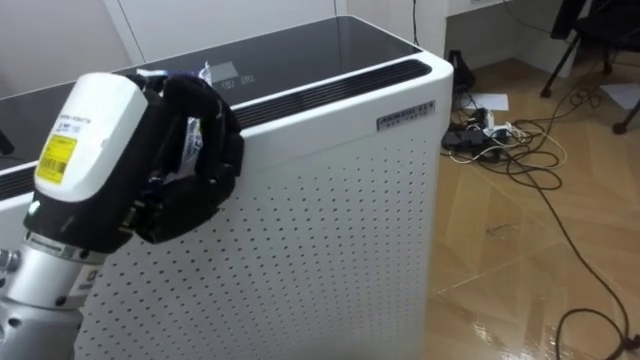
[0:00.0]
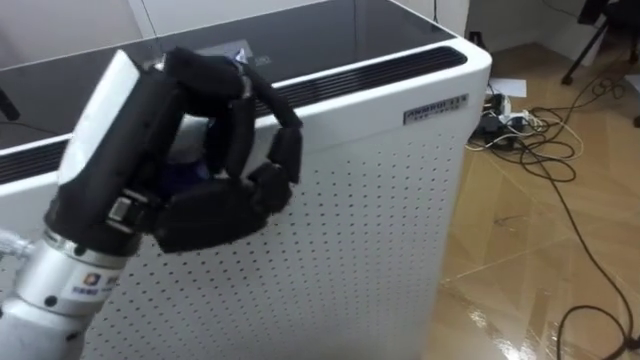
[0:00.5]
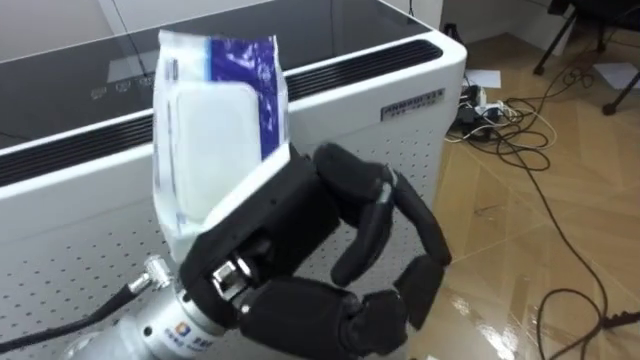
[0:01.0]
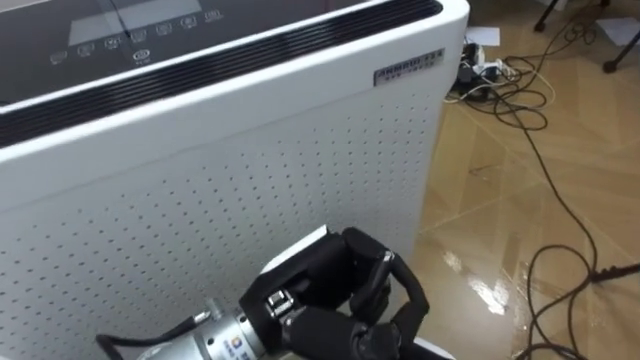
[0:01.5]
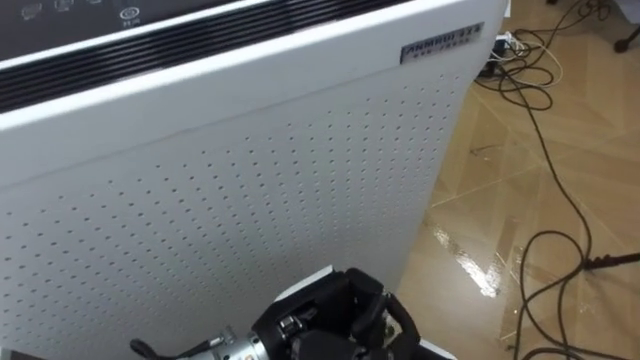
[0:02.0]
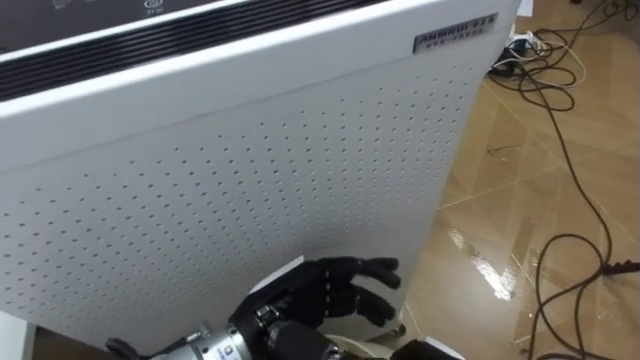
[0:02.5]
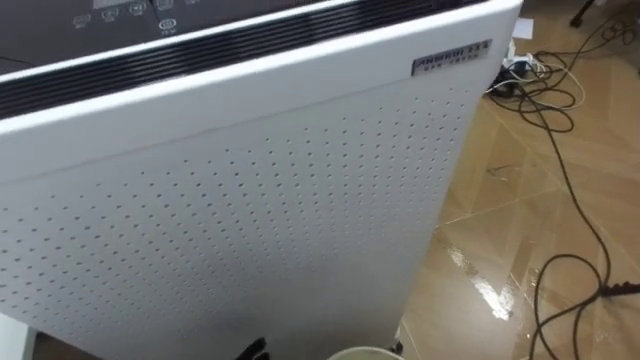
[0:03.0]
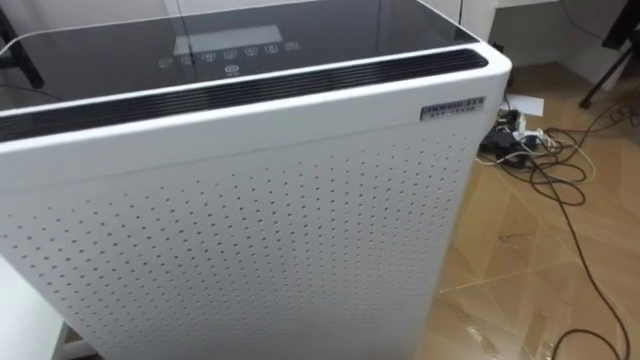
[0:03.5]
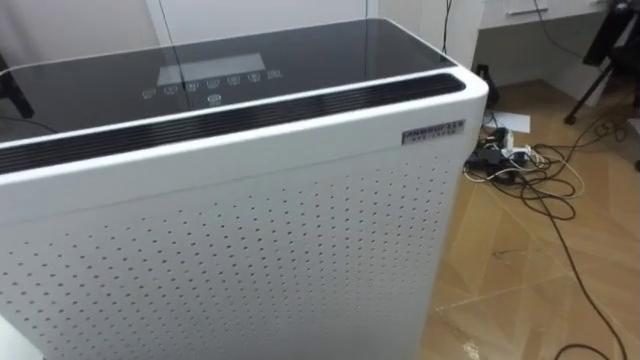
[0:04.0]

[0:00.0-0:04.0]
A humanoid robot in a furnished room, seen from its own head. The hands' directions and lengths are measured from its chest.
Task of the whole recording: Pick up the light blue package, the candy box, and the dark blue package separately, and put them into the trash can held in your right hand.
0:00.0 to 0:02.0: The left hand shifts some 25 cm downward and to the right.

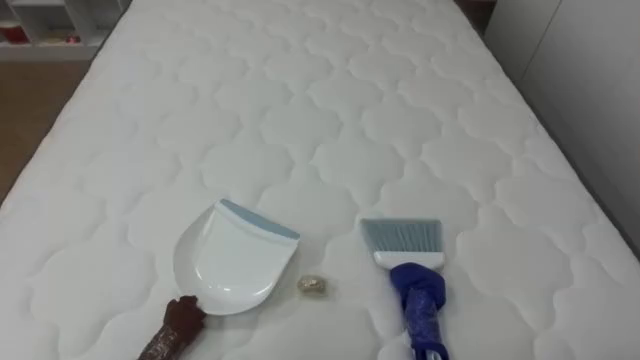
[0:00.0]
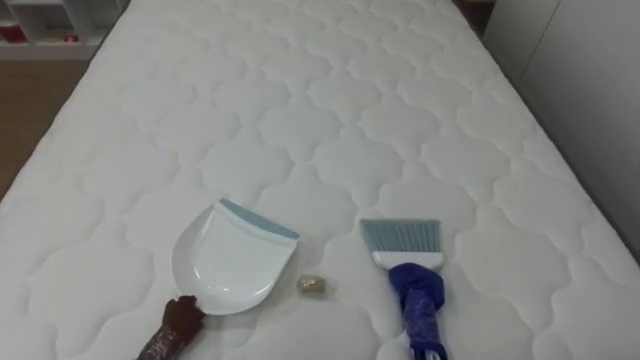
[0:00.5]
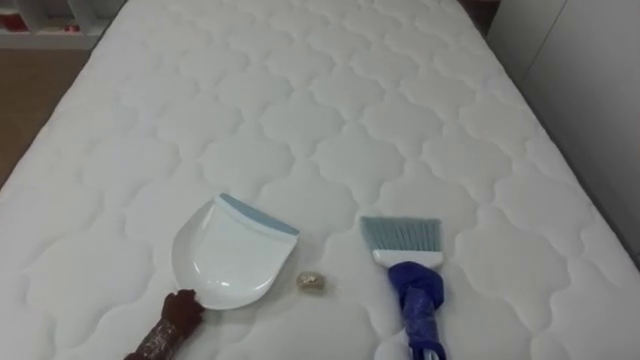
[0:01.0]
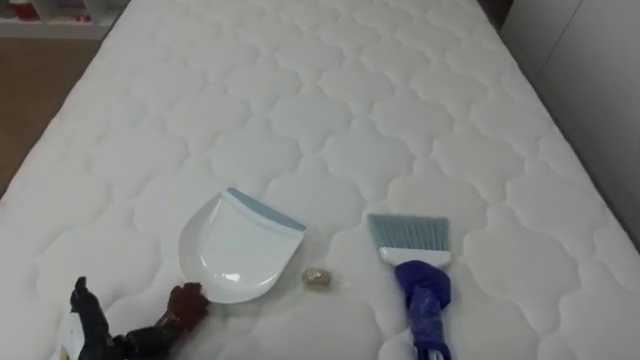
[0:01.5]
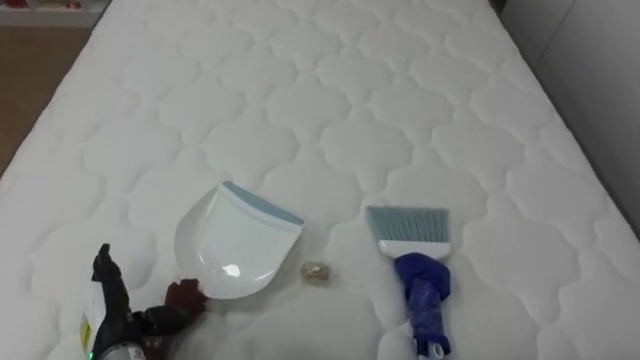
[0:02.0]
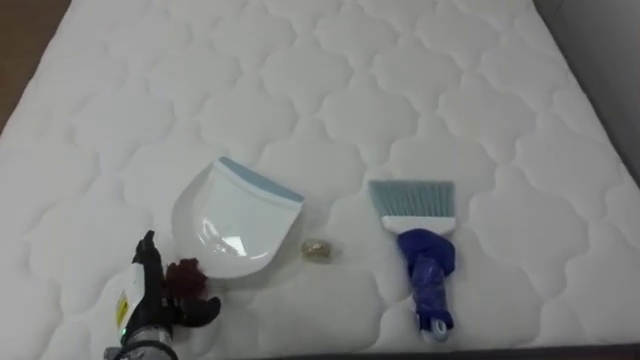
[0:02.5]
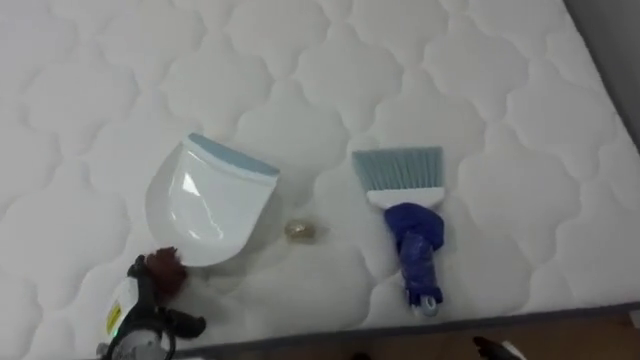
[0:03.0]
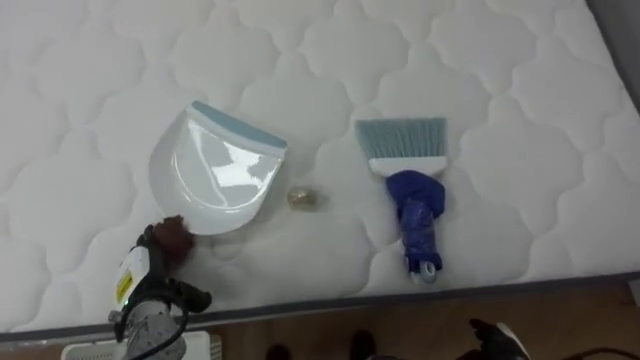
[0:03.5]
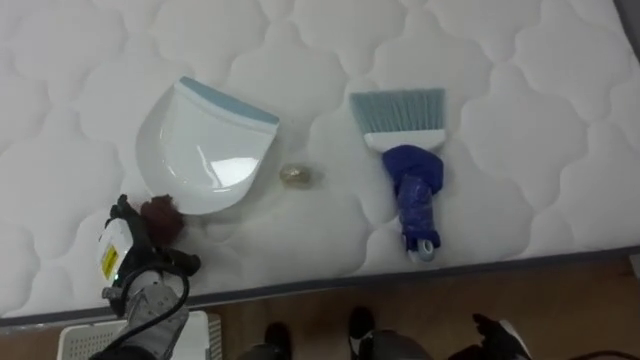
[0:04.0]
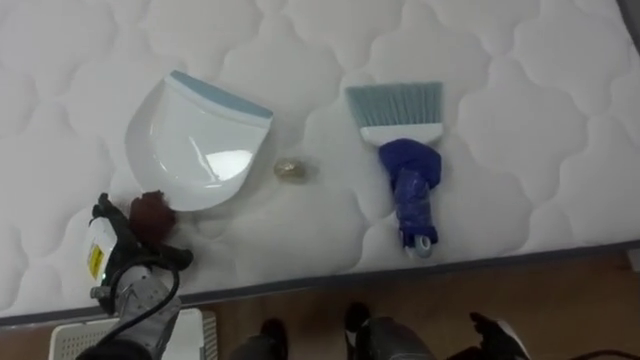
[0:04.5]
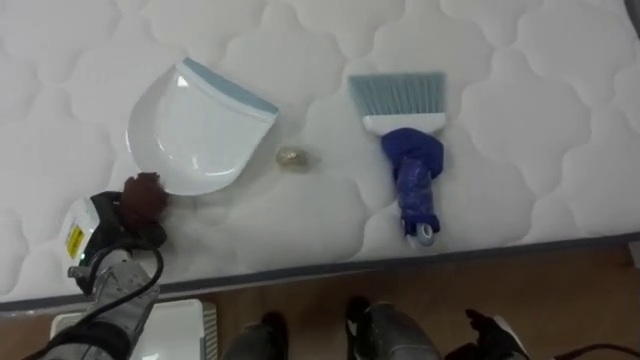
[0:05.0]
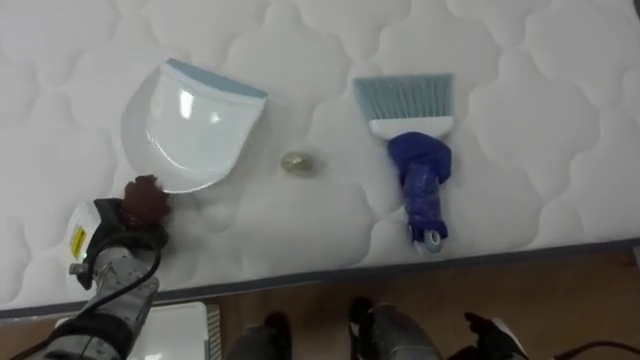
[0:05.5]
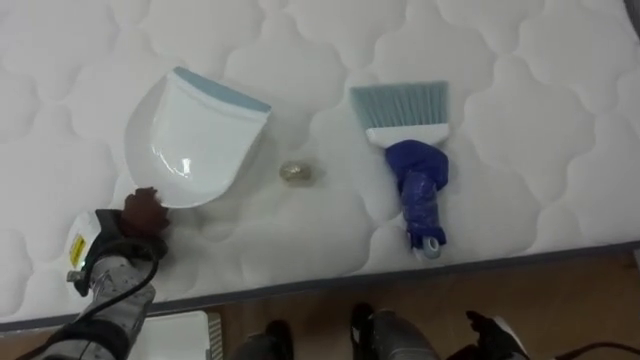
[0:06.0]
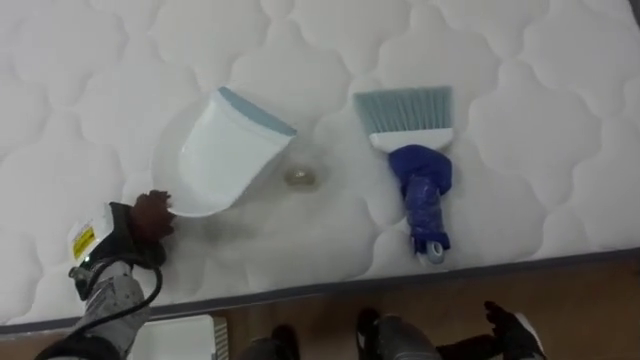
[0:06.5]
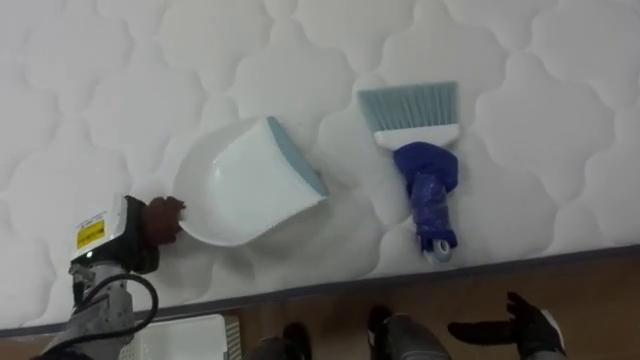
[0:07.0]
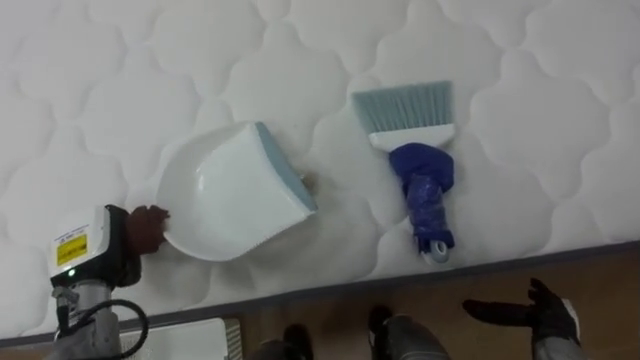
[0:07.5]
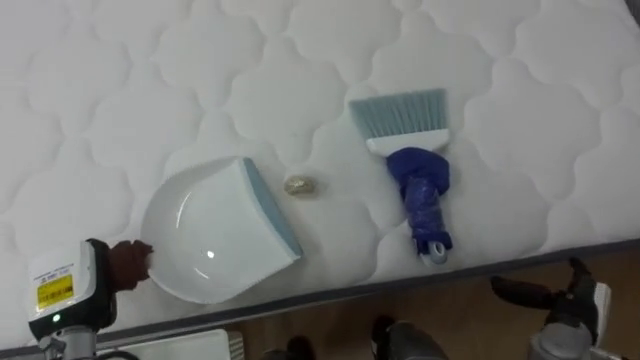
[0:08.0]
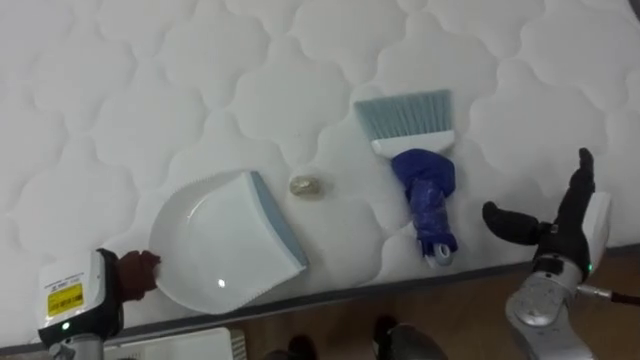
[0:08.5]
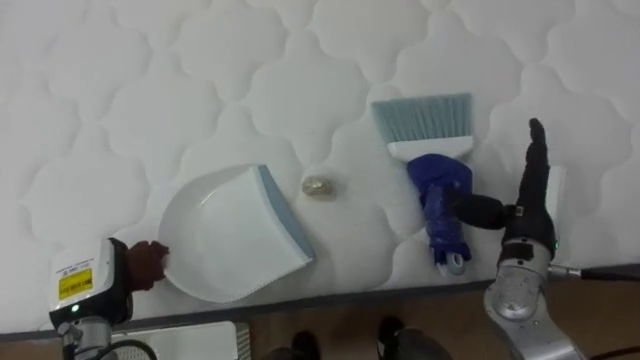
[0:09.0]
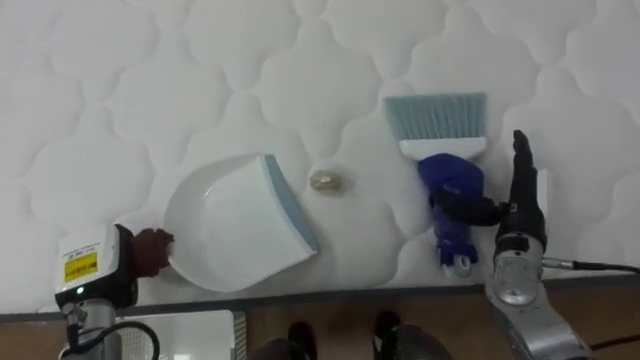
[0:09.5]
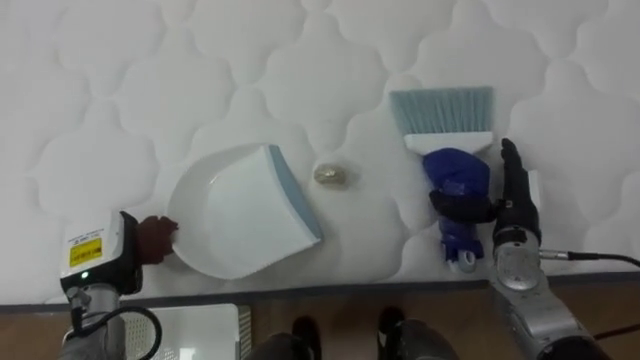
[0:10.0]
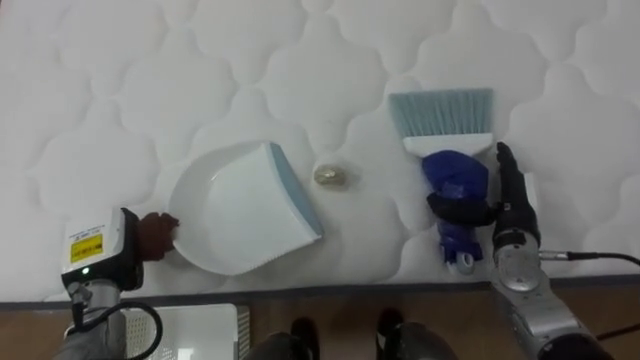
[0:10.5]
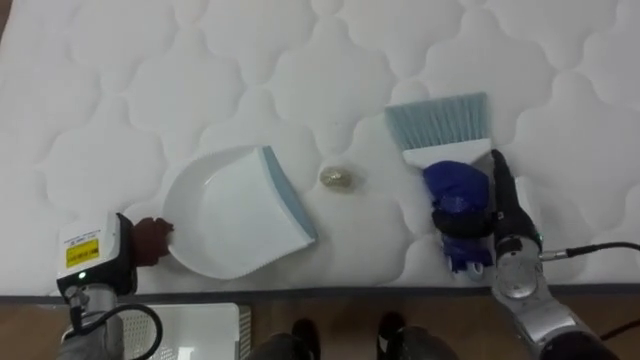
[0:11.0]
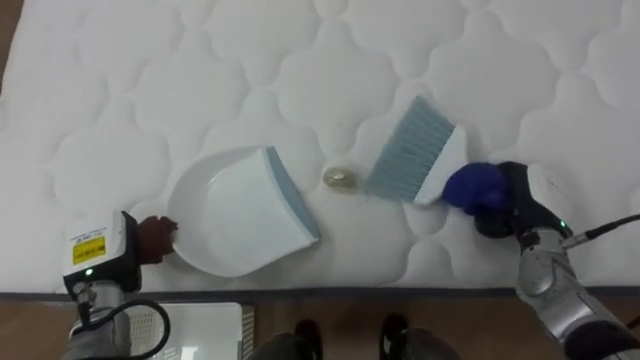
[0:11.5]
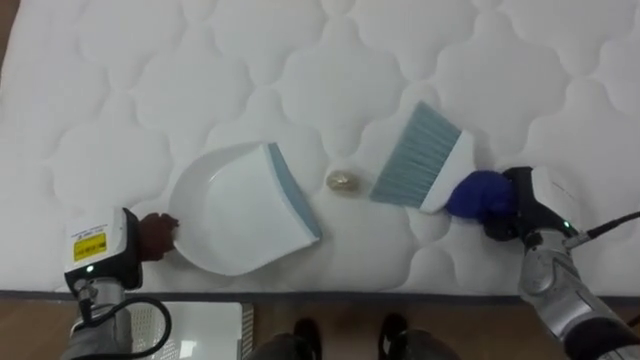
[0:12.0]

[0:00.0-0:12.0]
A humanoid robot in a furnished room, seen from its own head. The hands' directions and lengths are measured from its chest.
Task of the whole recording: Pick up the brush on your right and the dustpan on your left. Use the brush to sweep the crumpled paper on the bed into the dustpan, then turn left and empty it into the basket.
0:02.0 to 0:04.0: The left hand moves forward, roughly 10 cm.
0:04.0 to 0:06.0: The left hand closes.
0:06.0 to 0:08.0: The left hand shifts about 5 cm backward. The right hand travels to the right and upward by roughly 10 cm.
0:08.0 to 0:10.0: The right hand is displaced forward, upward and to the left by some 15 cm; the left hand shifts by approximately 5 cm.
0:10.0 to 0:12.0: The right hand closes up.

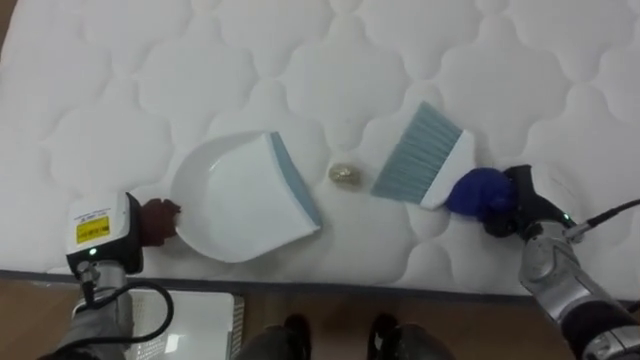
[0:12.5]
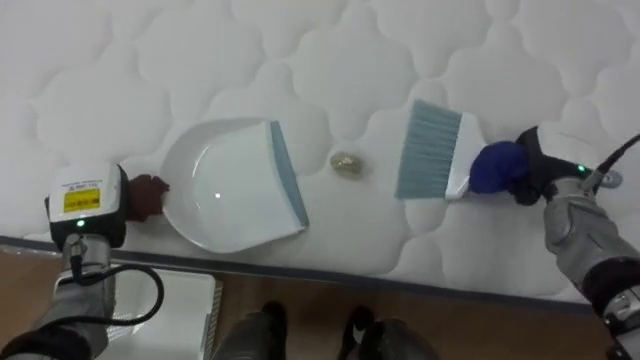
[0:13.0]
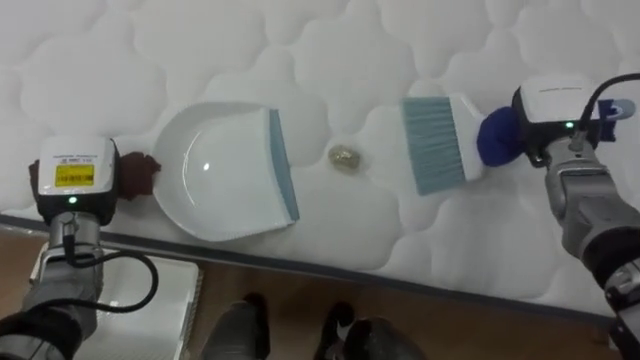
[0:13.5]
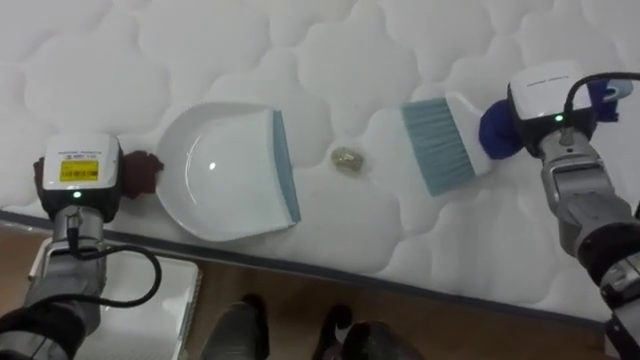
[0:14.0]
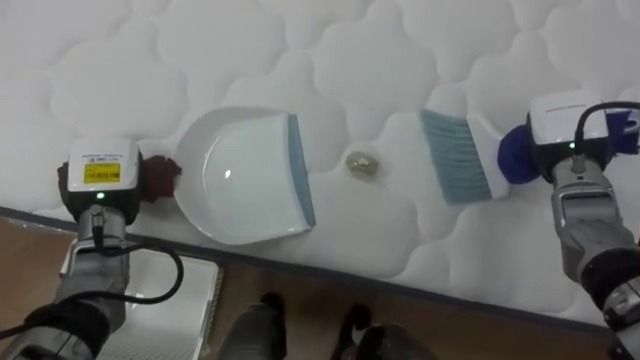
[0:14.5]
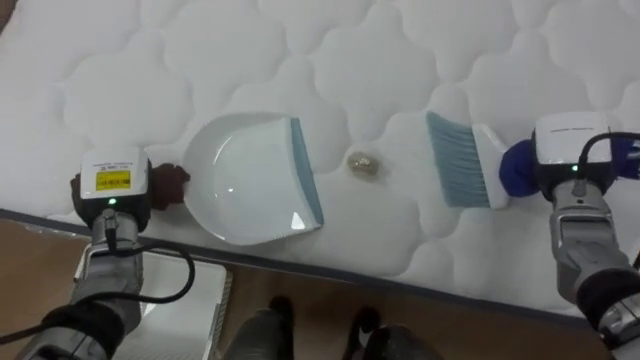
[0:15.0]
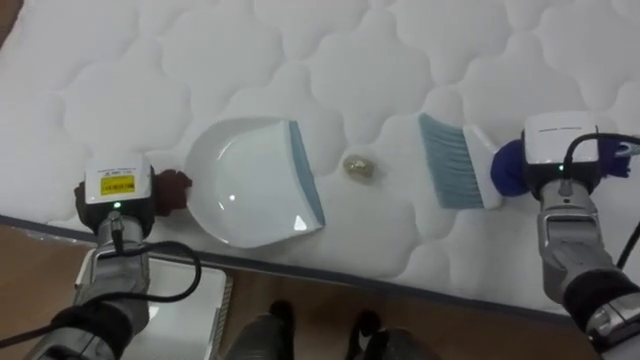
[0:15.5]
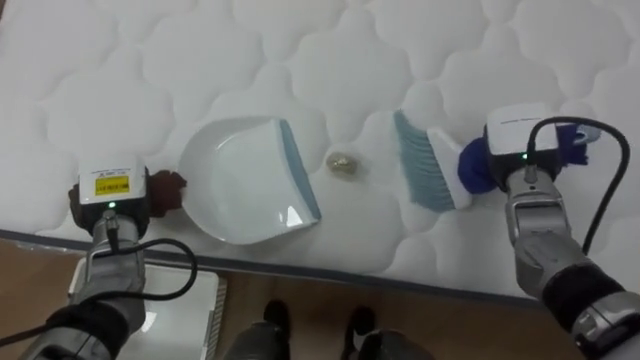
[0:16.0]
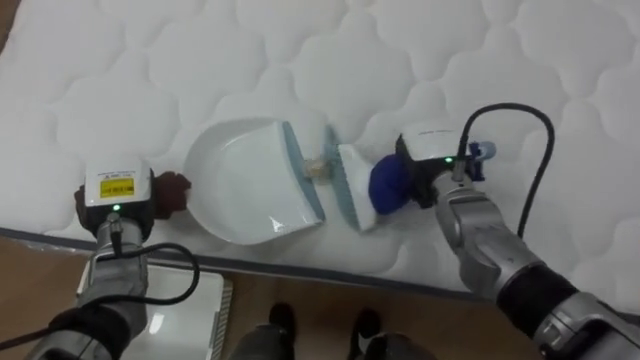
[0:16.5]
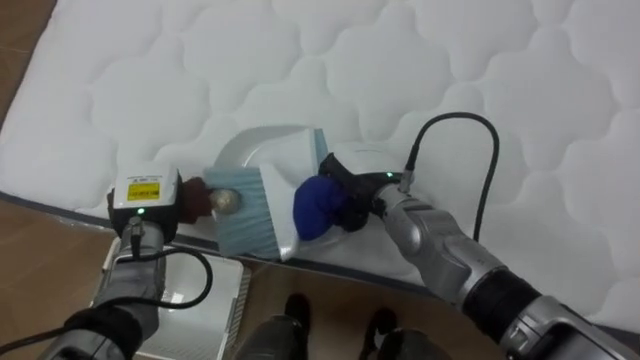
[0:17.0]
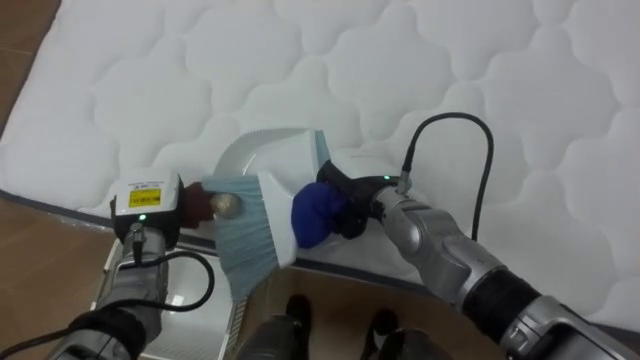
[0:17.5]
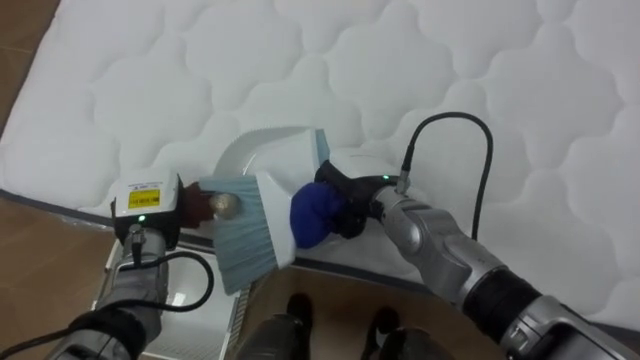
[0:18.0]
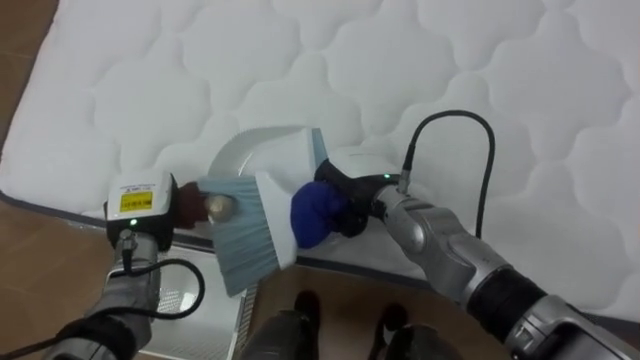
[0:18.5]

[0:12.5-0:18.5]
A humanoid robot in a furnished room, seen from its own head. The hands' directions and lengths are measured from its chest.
Task of the whole recording: Pick up the brush on your right and the dustpan on your left. Use the brush to sweep the crumpled paper on the bed into the dustpan, then turn left and empty it into the basket.
0:12.5 to 0:14.5: The two hands go approximately 10 cm upward and forward.
0:14.5 to 0:16.5: The right hand heads to the left, covering some 15 cm.
0:16.5 to 0:18.5: The right hand travels to the left by approximately 10 cm.
